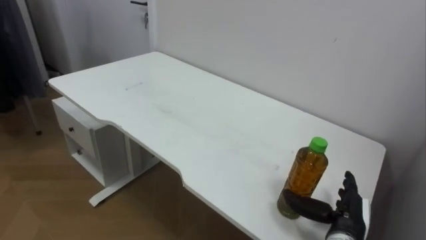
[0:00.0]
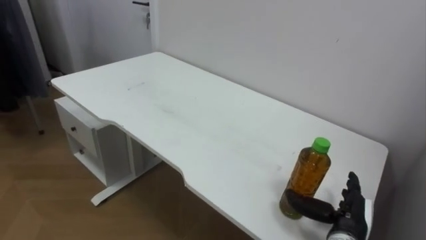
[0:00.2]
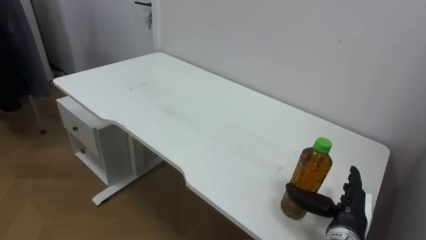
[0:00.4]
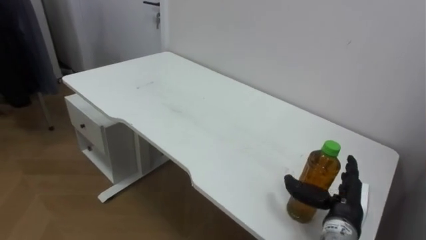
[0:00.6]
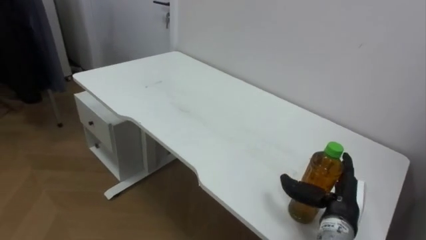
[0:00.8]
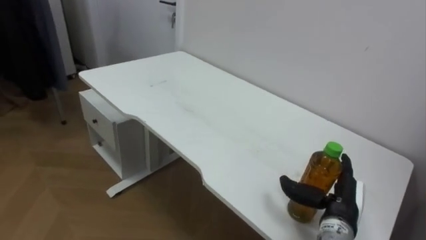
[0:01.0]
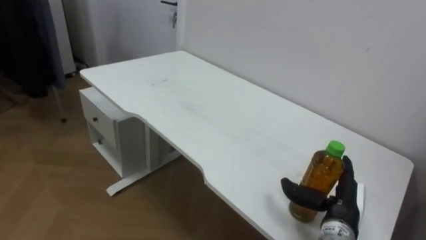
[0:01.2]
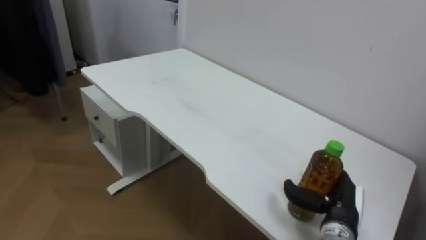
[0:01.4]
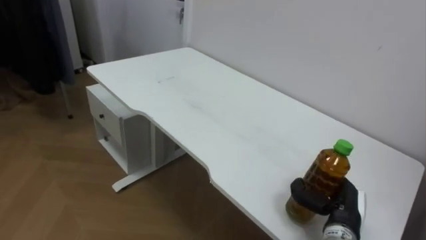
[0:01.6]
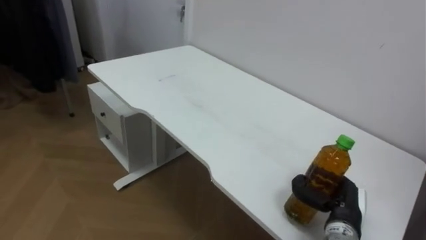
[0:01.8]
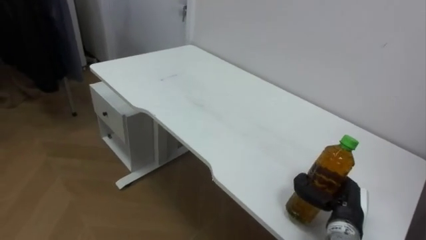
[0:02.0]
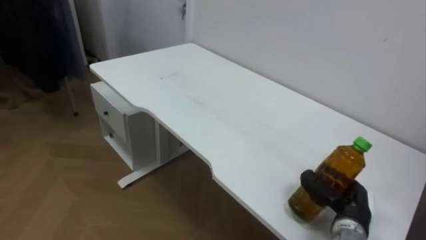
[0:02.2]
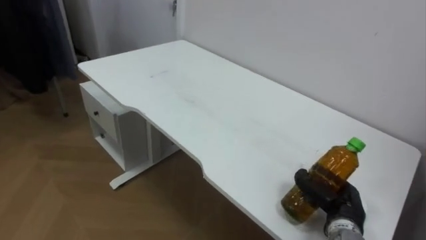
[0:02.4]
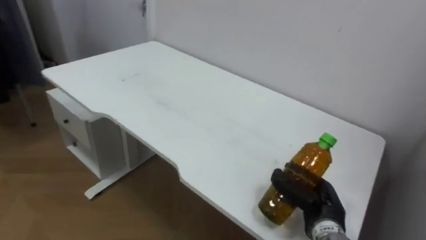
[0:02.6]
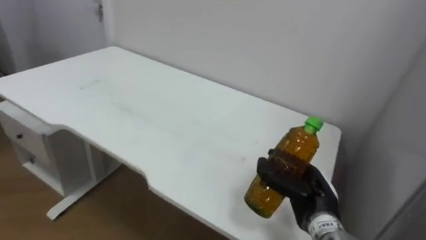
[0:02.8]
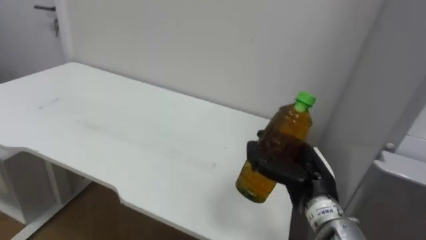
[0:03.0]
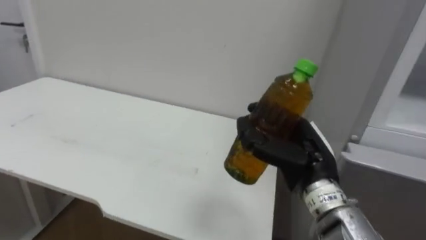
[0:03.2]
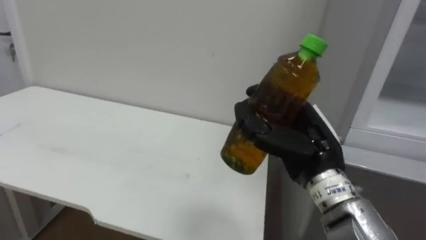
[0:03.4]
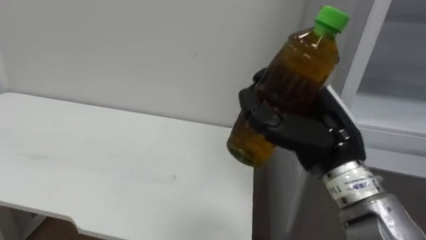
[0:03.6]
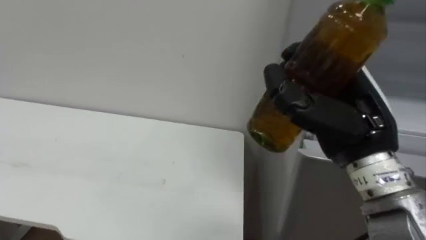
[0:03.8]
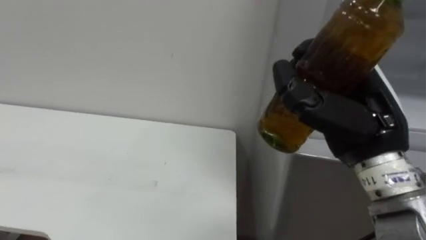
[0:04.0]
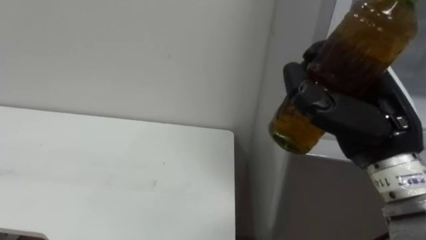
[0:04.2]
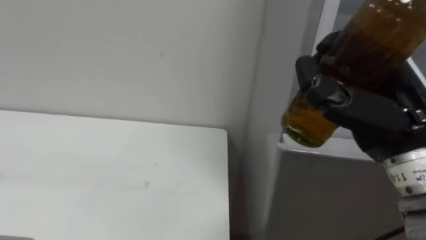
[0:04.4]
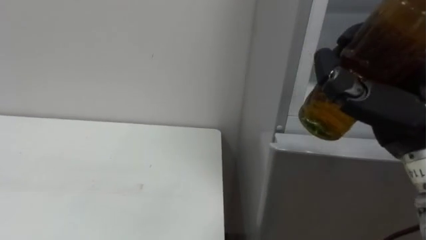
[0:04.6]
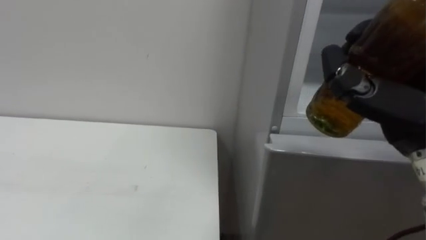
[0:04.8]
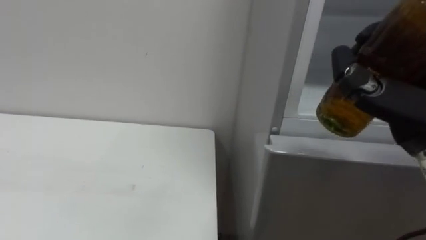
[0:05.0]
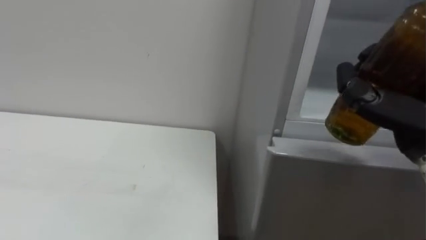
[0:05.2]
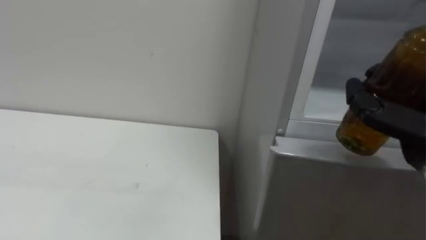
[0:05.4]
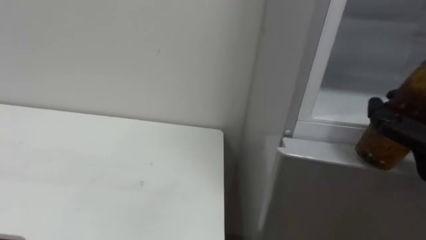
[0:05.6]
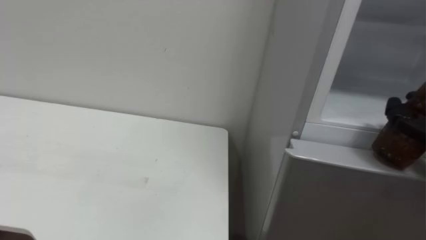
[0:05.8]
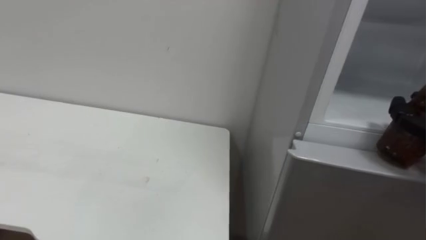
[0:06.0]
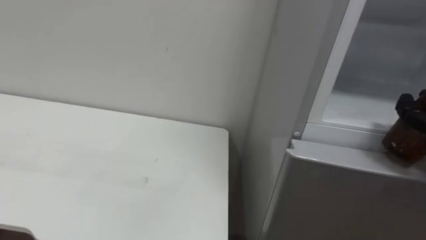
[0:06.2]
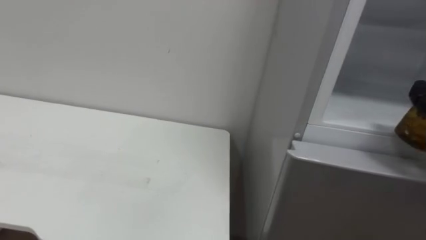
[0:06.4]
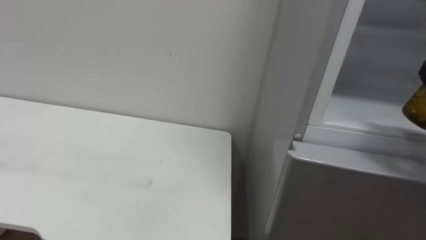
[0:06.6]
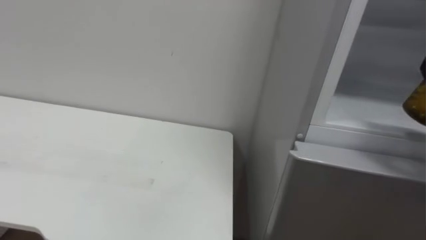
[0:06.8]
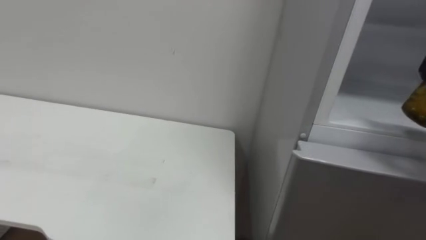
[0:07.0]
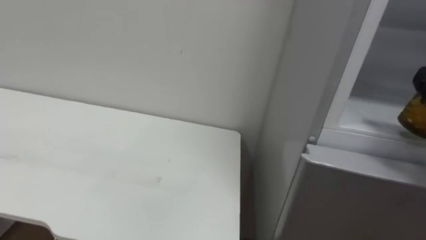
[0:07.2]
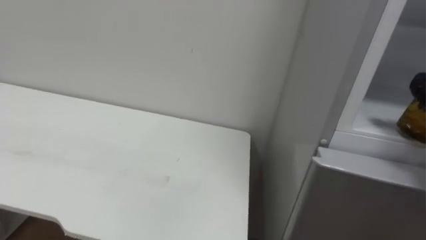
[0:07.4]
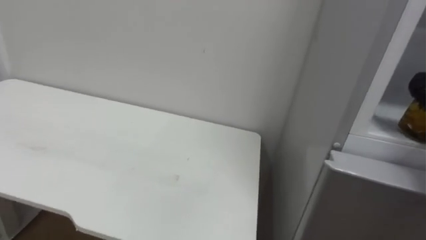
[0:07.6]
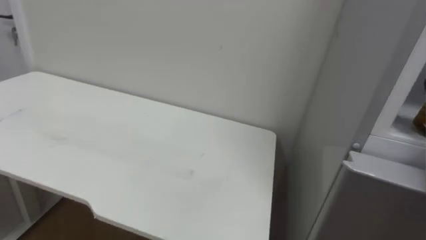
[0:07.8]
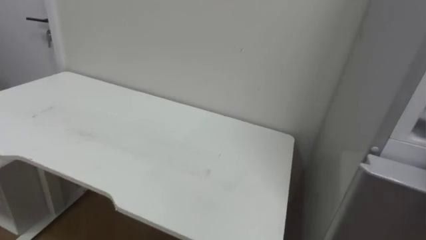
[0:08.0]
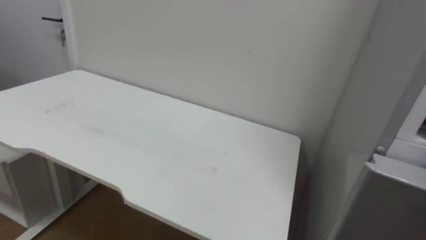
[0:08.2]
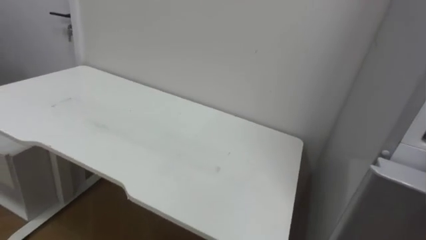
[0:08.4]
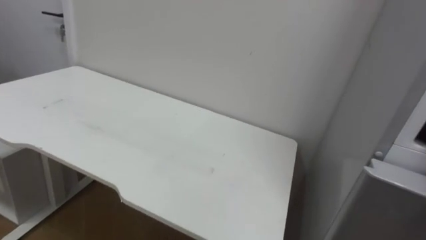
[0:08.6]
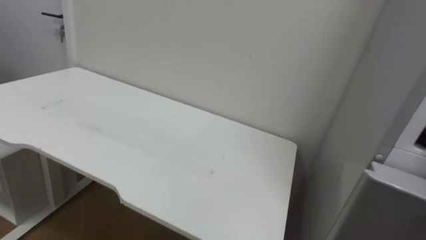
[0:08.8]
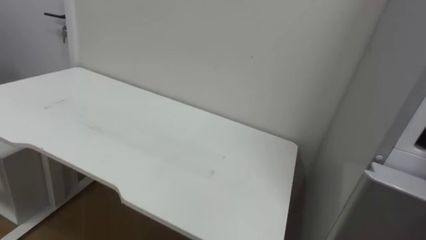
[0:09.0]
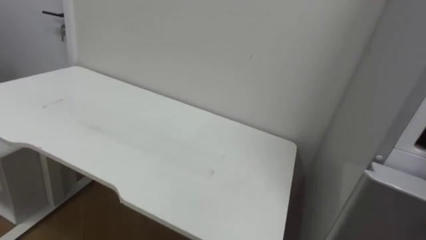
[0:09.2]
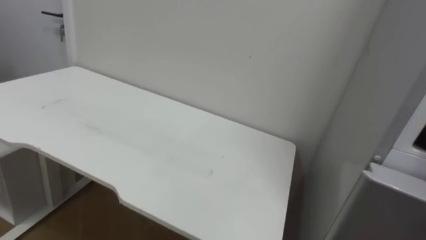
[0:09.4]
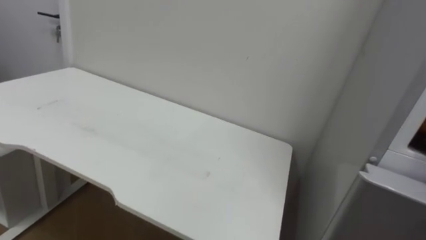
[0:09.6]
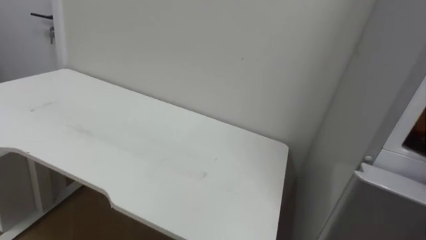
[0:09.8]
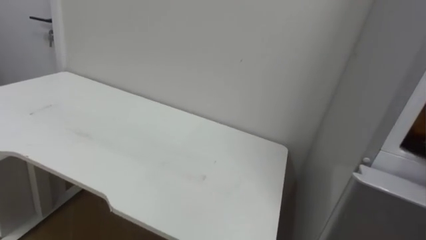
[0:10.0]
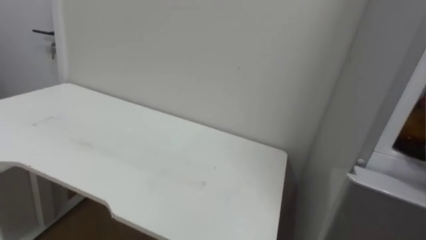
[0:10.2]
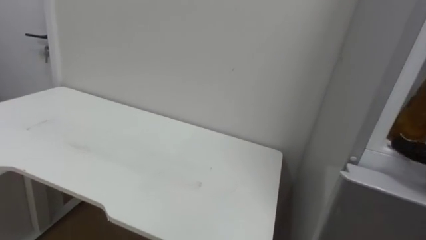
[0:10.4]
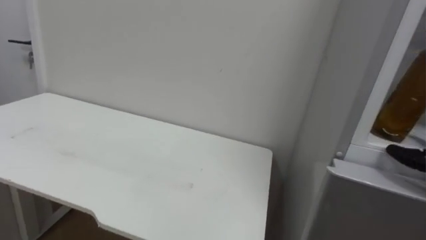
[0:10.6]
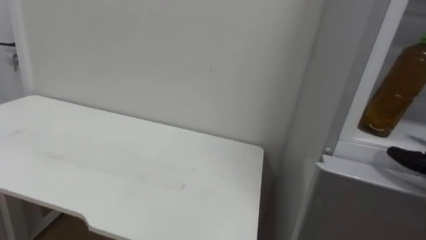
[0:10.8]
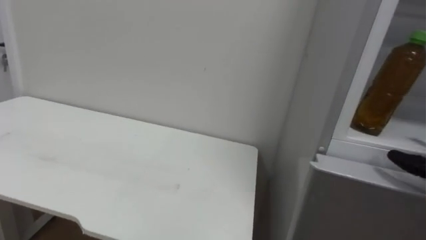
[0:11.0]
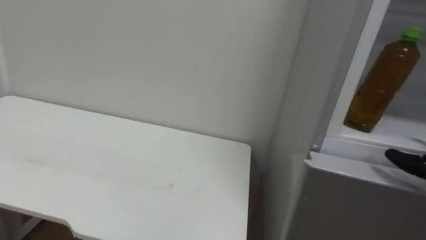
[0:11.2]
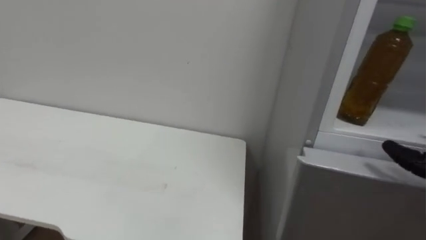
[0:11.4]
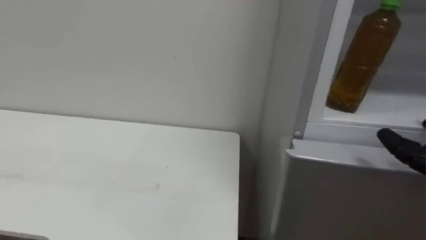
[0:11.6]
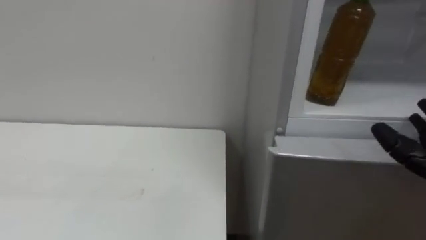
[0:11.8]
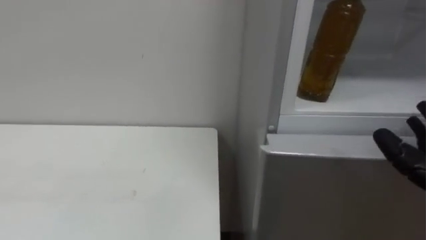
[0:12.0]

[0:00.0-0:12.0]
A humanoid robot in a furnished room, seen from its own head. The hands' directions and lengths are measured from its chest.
Task of the whole recording: Open the upper refrigerator door, put the drink from the table into the refrigerator, and then close the refrigerator door.
0:00.0 to 0:01.6: The right hand closes.
0:01.6 to 0:03.0: The right hand moves upward and to the left, roughly 10 cm.
0:03.0 to 0:04.4: The right hand travels upward by roughly 15 cm.

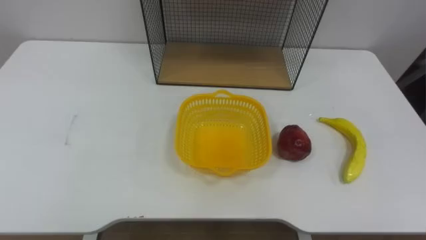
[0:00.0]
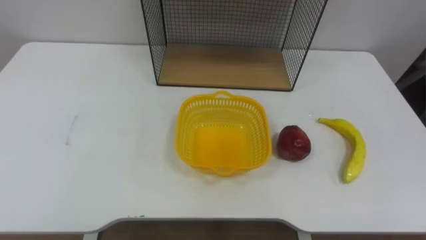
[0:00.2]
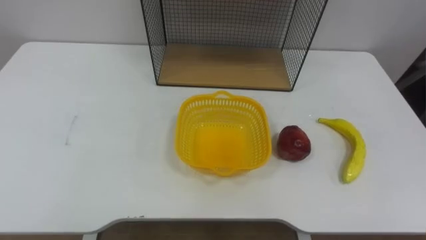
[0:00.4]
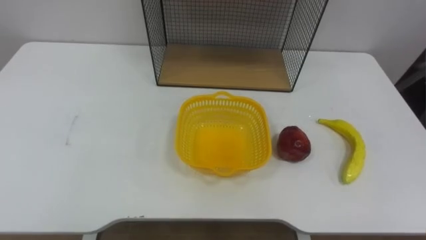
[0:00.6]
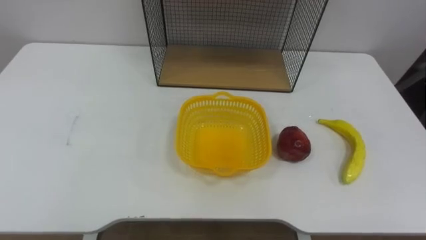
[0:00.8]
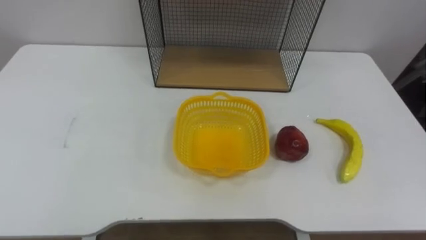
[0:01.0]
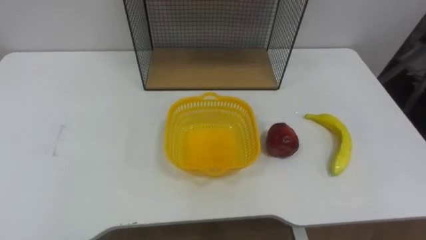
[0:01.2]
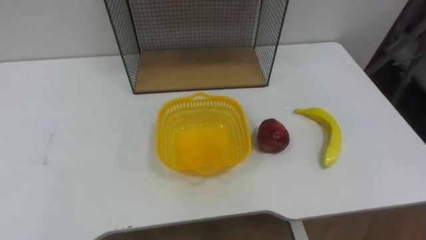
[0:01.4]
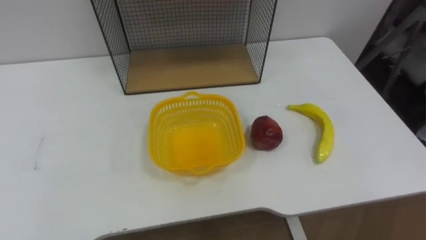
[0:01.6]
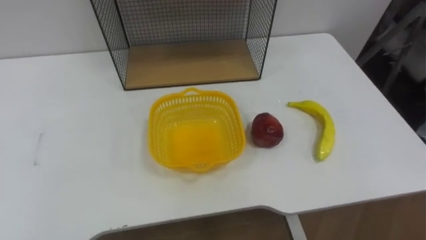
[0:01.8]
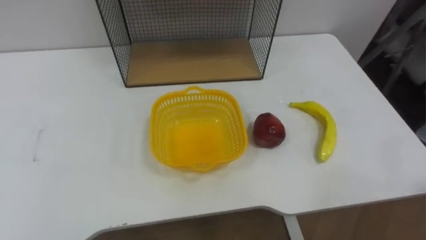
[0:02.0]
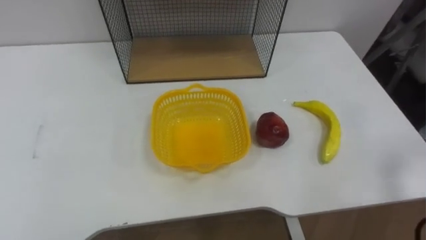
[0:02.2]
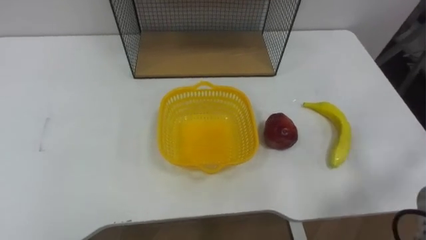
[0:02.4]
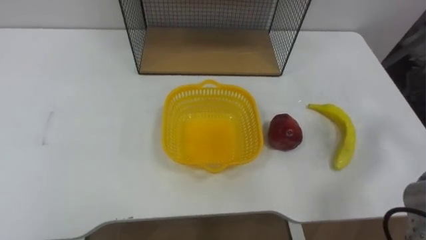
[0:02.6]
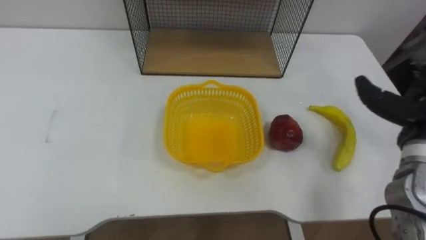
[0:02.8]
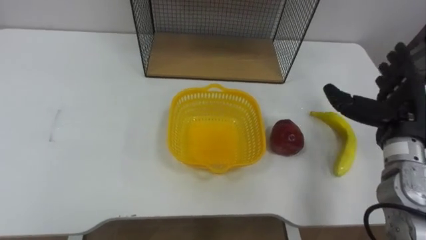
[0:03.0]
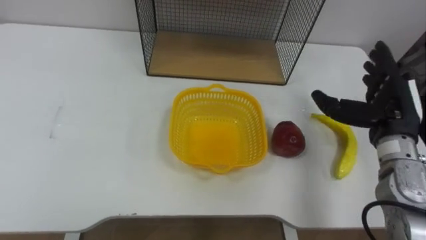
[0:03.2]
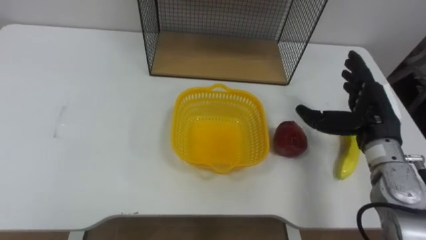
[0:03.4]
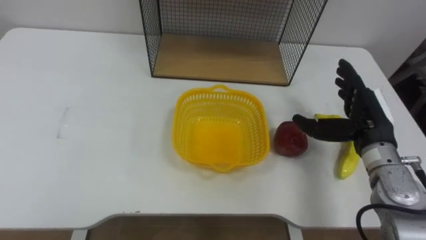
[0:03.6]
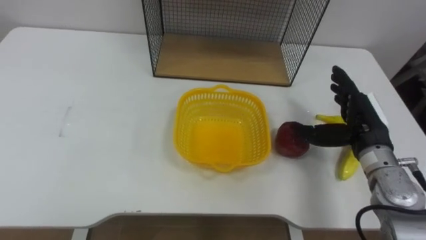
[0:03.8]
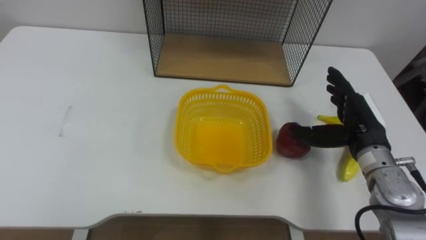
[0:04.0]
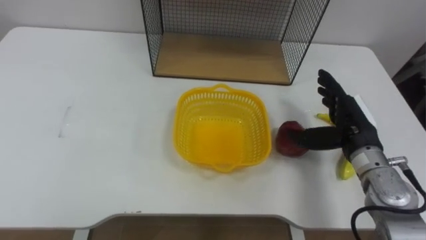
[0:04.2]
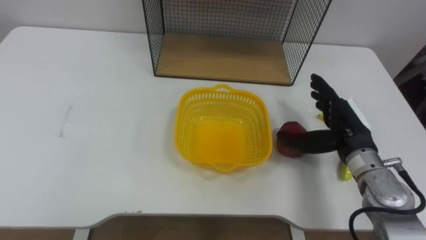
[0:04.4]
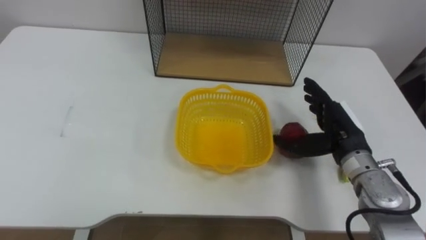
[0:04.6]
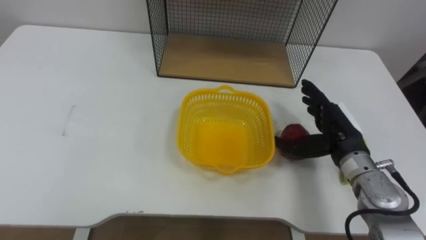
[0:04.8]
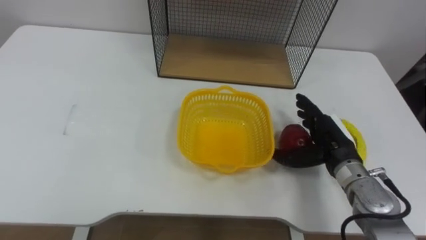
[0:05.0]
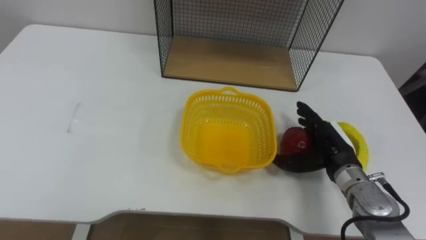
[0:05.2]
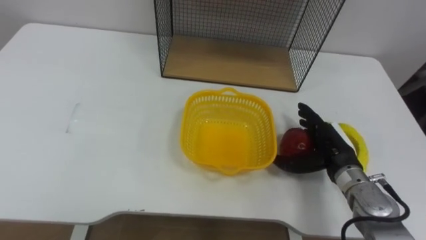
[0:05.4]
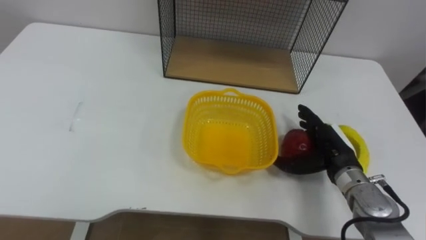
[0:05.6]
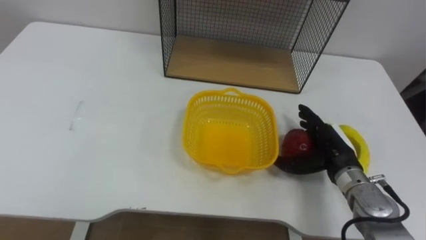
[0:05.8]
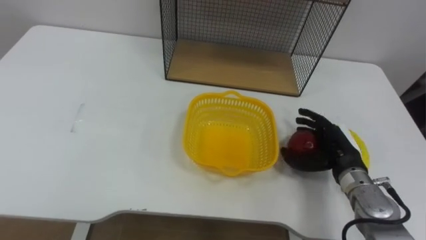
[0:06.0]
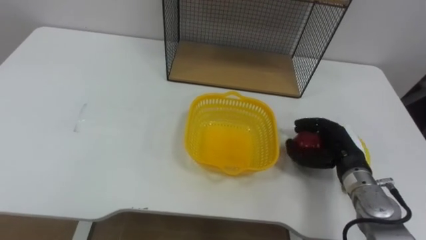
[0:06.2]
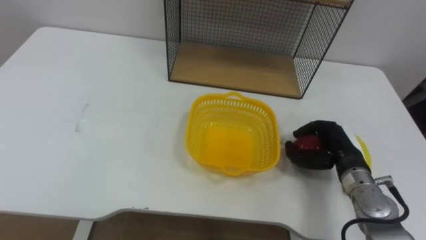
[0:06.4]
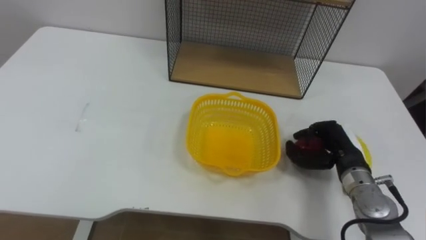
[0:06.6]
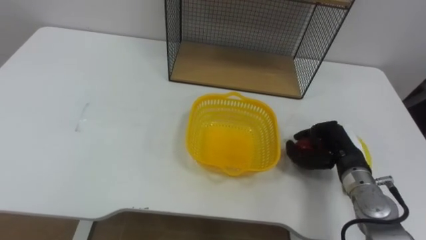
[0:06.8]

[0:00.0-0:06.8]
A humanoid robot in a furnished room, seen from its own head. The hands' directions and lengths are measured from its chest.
Task of the whole recording: Put the fruit on the table into the basket, then place the basket on the shelf.
0:04.0 to 0:05.4: The right hand heads downward, covering some 5 cm.
0:05.4 to 0:06.8: The right hand closes.
